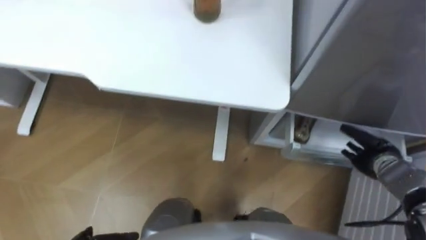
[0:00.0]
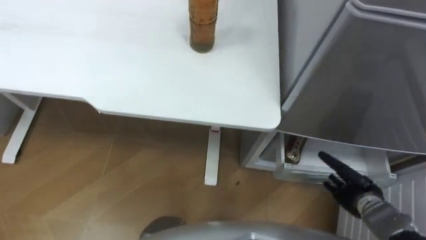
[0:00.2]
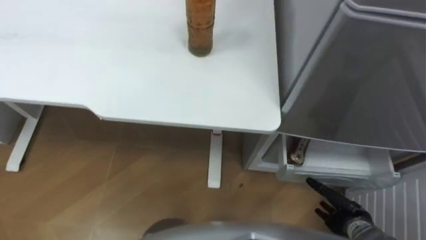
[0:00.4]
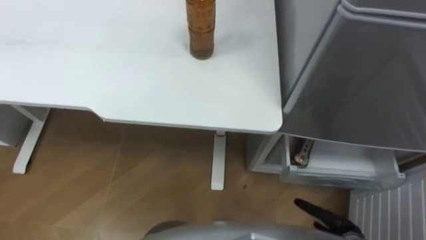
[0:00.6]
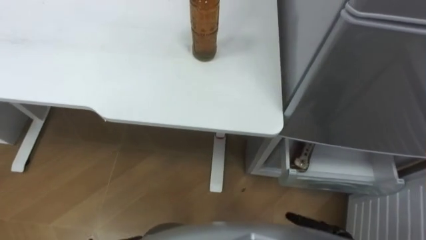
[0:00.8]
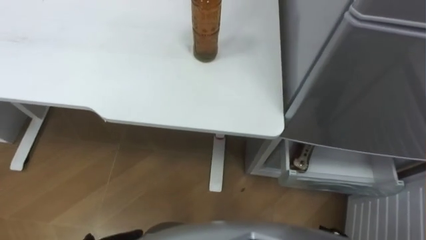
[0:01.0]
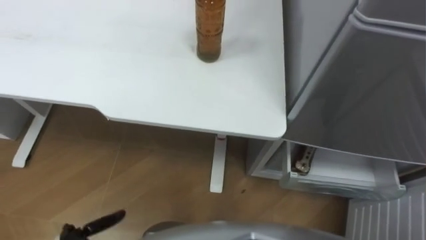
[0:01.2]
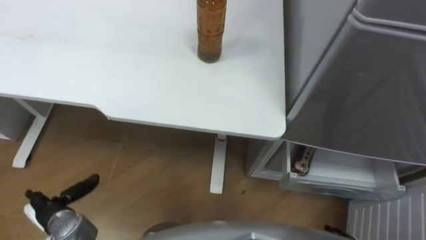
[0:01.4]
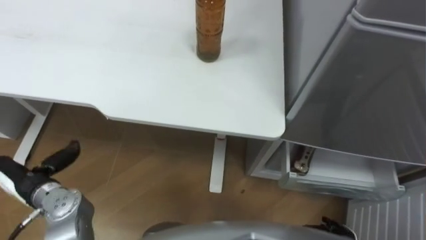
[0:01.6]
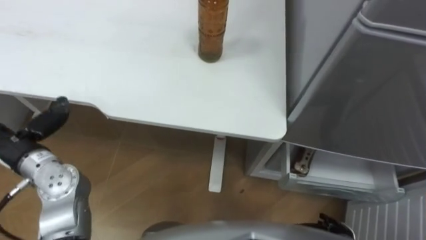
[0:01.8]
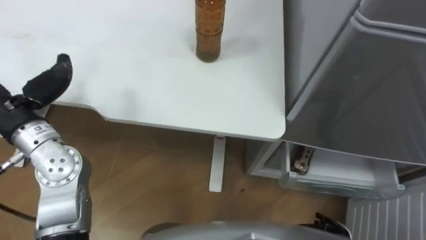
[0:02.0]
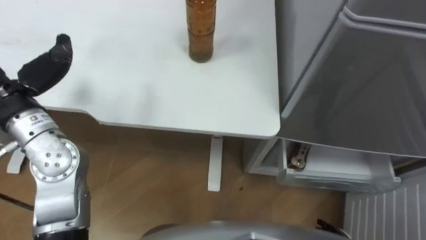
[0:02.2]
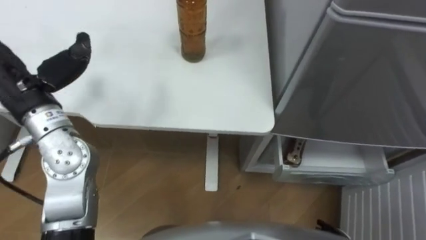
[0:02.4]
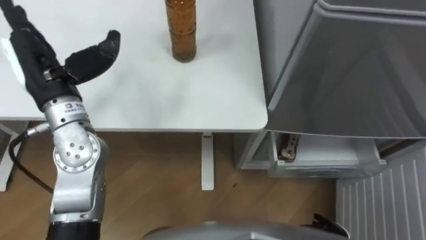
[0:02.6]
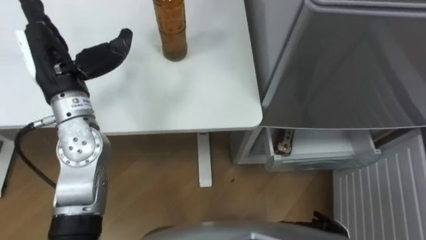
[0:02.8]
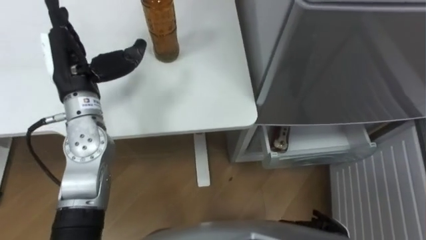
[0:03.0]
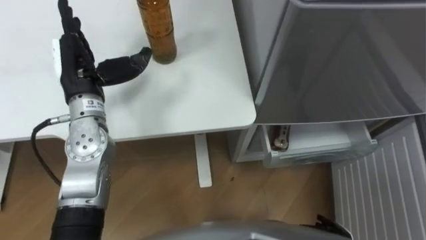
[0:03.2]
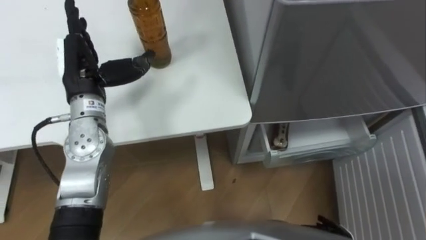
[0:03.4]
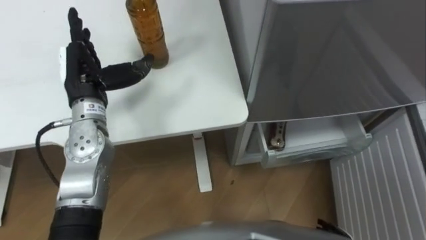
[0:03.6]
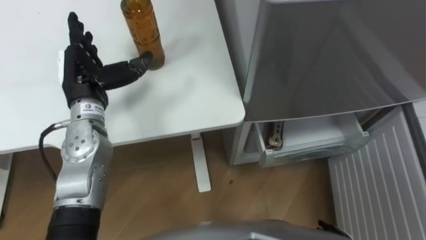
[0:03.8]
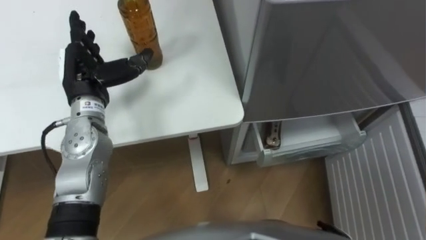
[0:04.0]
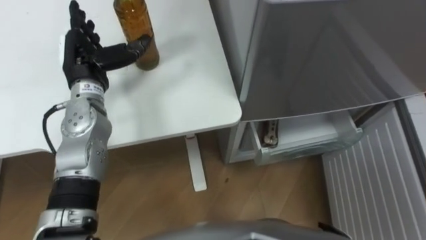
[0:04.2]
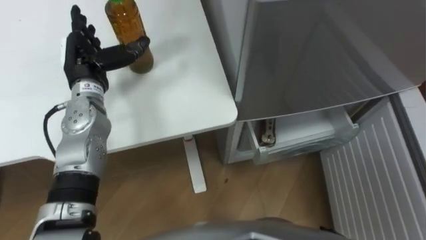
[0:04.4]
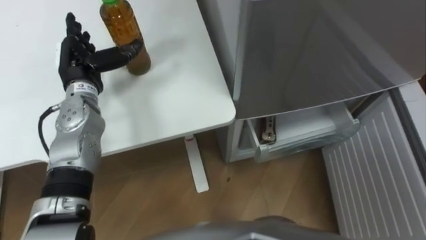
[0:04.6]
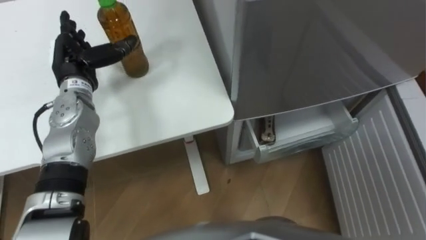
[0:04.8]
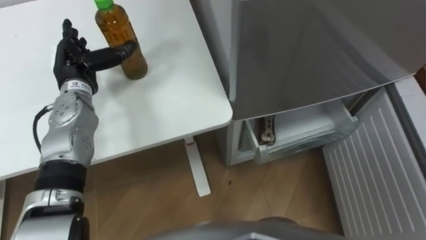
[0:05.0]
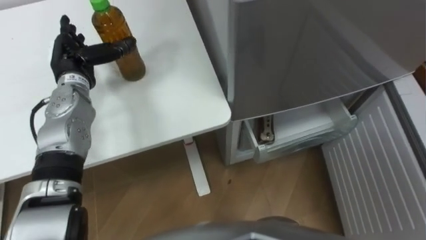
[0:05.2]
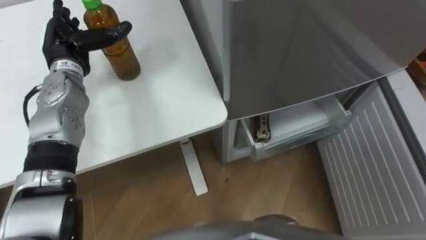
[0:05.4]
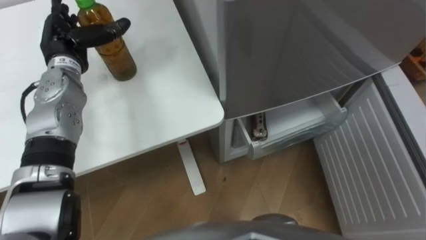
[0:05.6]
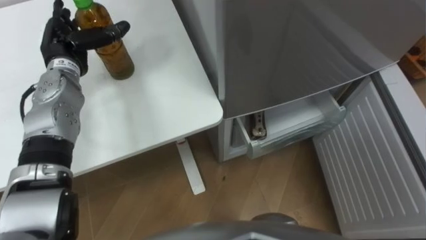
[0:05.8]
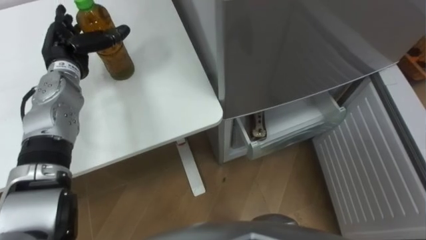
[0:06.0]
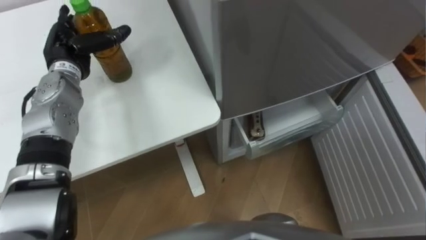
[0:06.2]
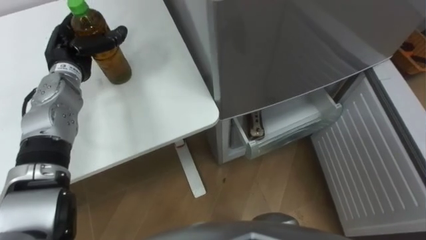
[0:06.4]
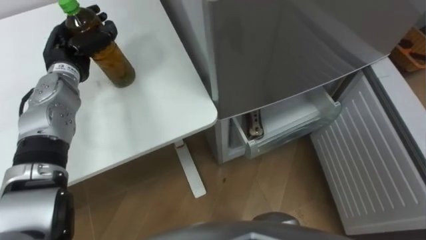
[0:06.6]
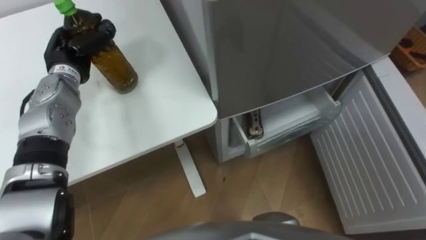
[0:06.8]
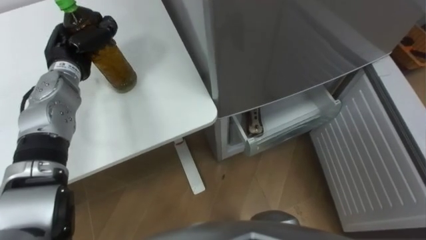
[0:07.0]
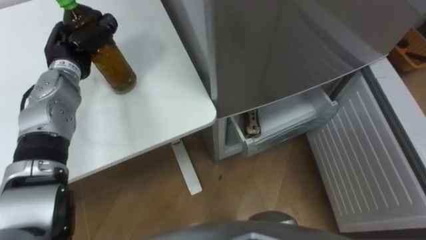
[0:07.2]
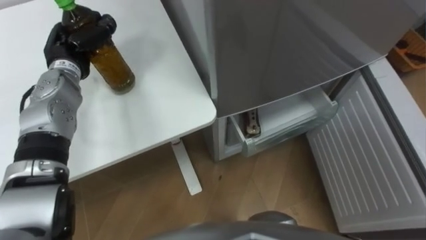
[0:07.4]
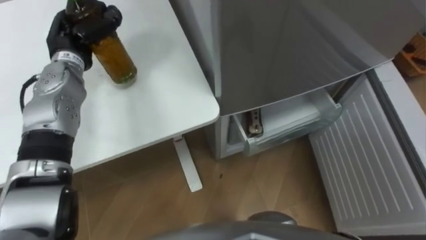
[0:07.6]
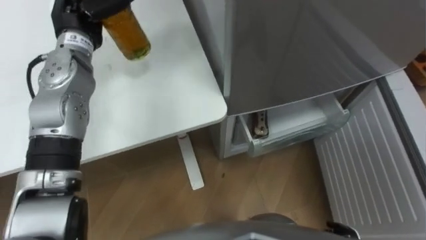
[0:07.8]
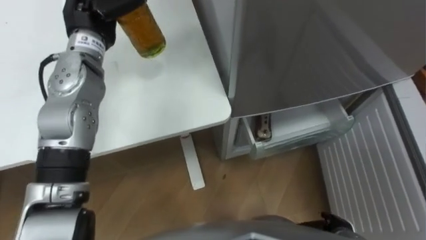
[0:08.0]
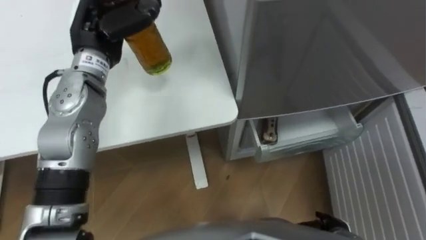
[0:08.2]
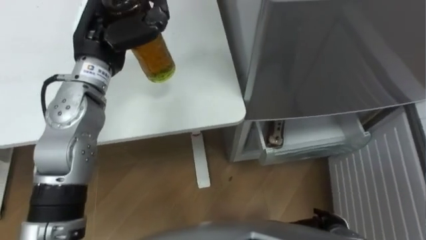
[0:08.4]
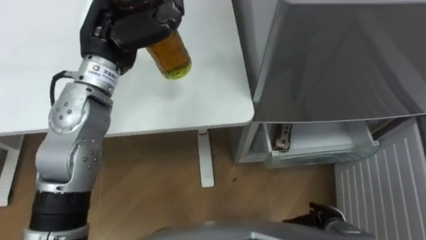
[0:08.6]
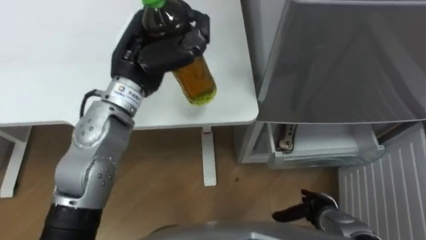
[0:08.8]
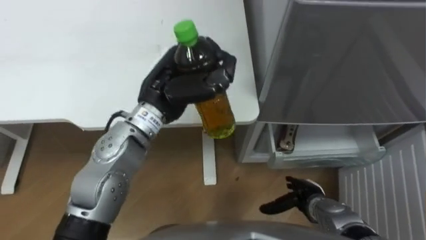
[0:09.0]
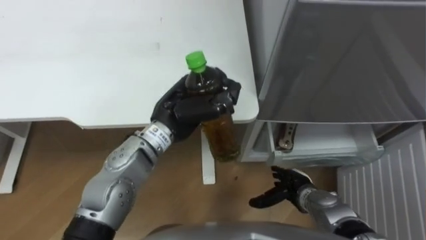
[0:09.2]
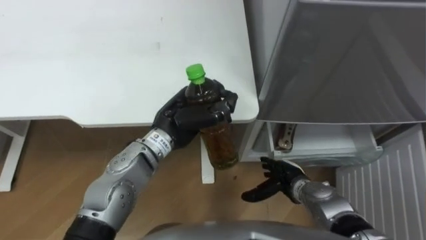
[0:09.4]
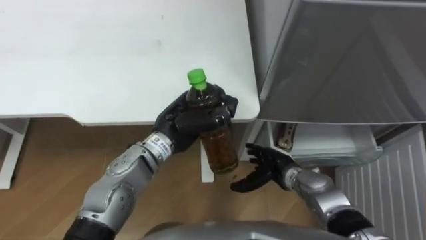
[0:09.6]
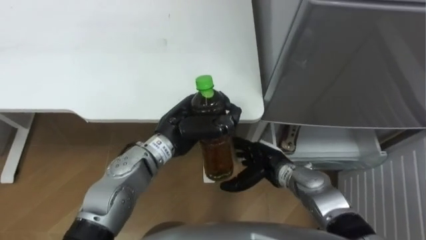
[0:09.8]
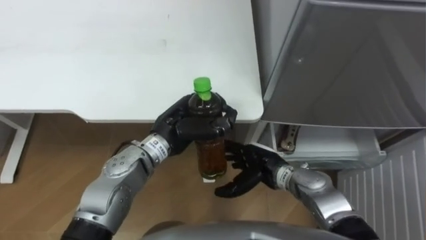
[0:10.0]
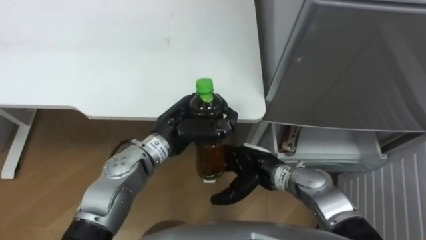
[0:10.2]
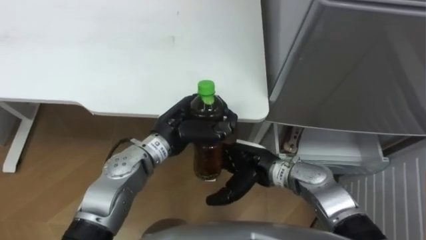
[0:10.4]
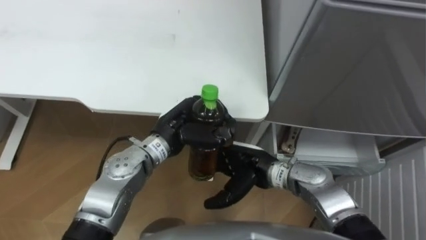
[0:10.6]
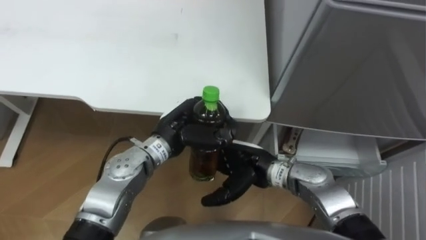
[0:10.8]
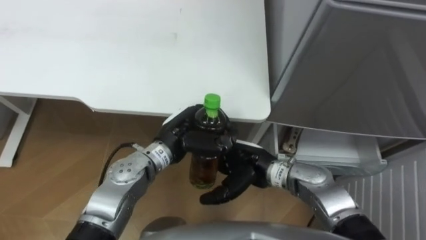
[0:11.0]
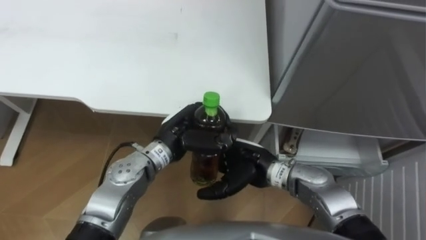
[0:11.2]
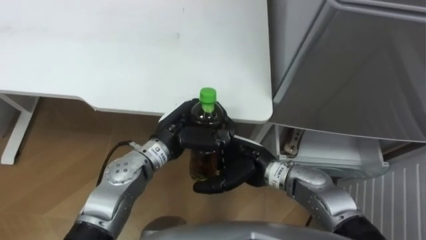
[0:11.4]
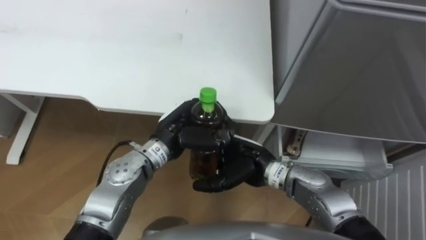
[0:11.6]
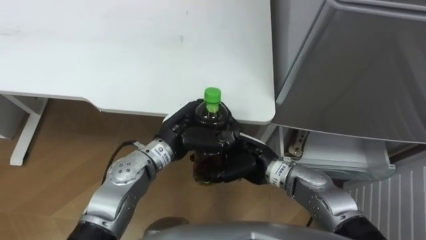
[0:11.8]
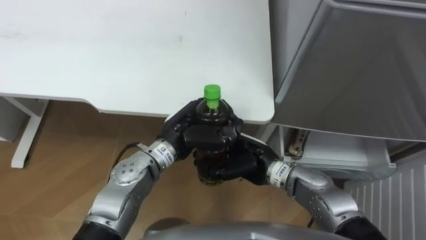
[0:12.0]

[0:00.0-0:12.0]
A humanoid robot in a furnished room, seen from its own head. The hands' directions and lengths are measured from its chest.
Task of the whole recording: Place the drink on the table on the bottom shelf of the refrigerator, then close the drawer and the refrigerator door.
0:01.6 to 0:03.0: The left hand travels upward, forward and to the right by roughly 25 cm.
0:03.0 to 0:04.4: The left hand changes place by about 5 cm.
0:04.4 to 0:06.0: The left hand ends up about 5 cm from where it was.
0:06.0 to 0:07.6: The left hand closes up.
0:07.6 to 0:09.0: The left hand travels to the right and backward by about 20 cm.
0:09.0 to 0:10.4: The left hand shifts roughly 10 cm downward, while the right hand shifts approximately 20 cm to the left, upward and forward.
0:10.4 to 0:12.0: The right hand closes.

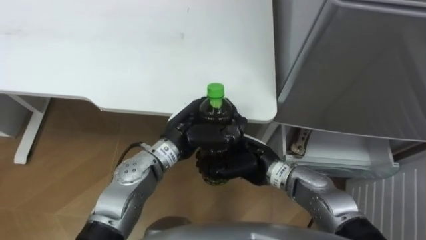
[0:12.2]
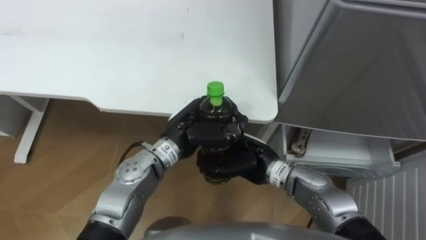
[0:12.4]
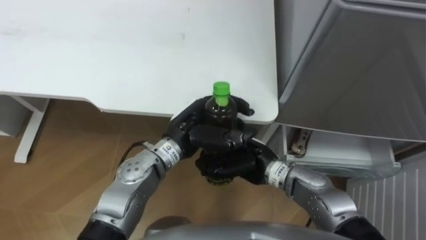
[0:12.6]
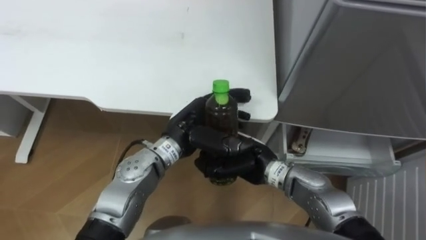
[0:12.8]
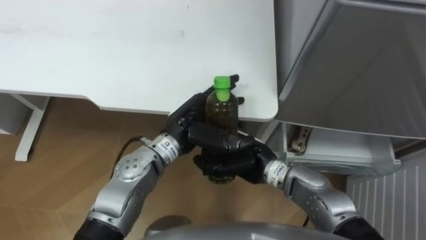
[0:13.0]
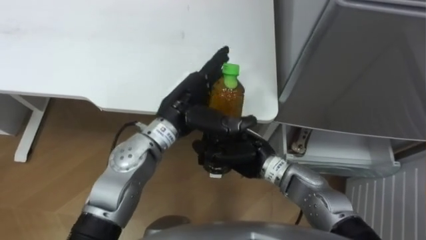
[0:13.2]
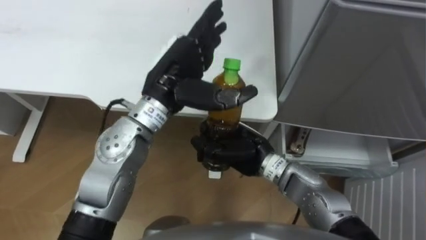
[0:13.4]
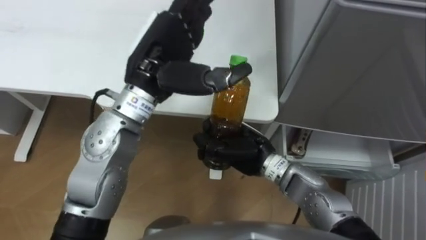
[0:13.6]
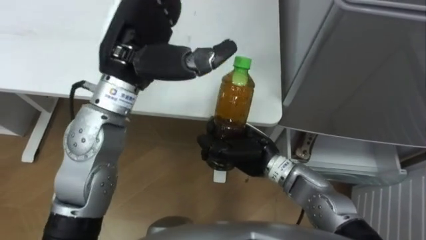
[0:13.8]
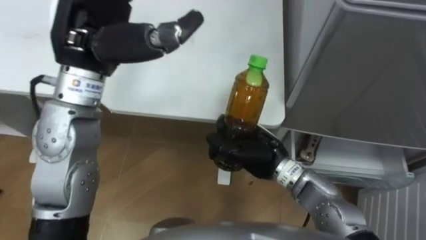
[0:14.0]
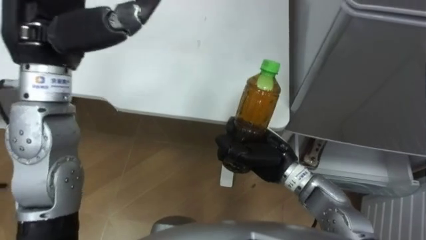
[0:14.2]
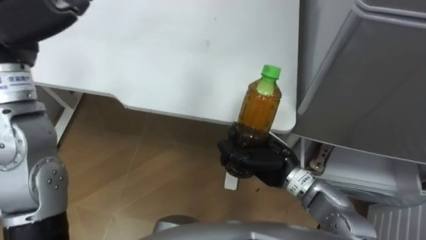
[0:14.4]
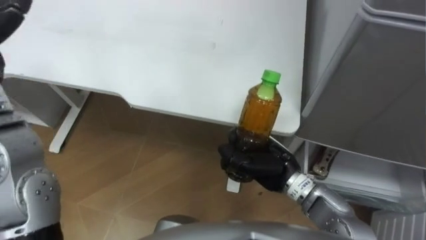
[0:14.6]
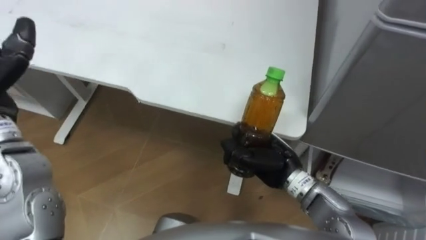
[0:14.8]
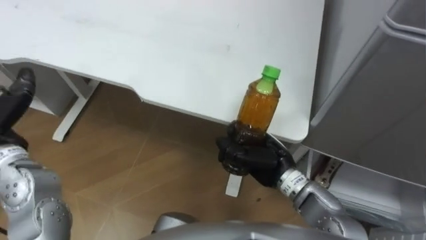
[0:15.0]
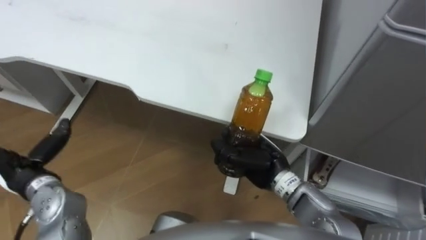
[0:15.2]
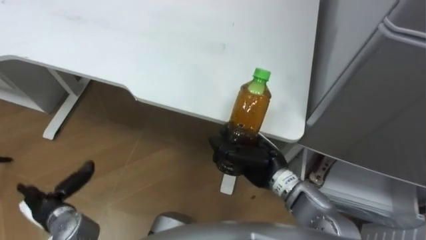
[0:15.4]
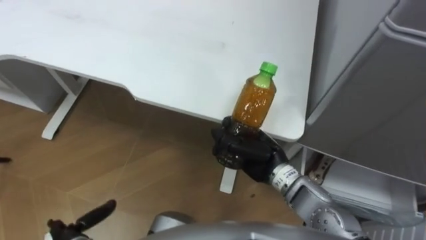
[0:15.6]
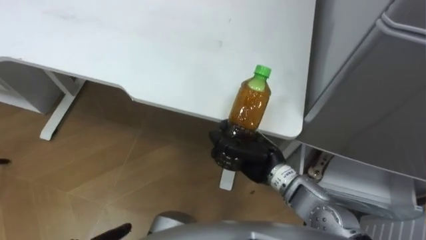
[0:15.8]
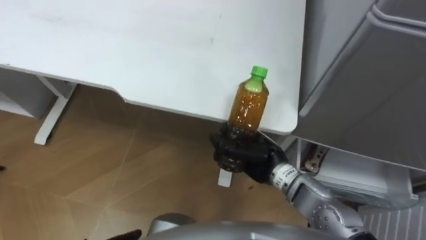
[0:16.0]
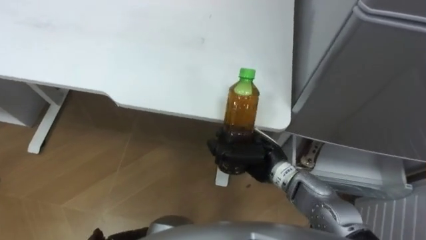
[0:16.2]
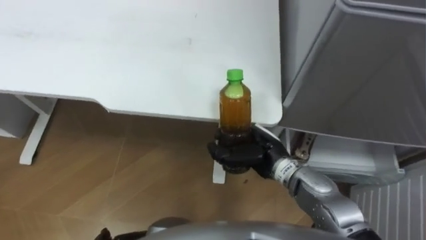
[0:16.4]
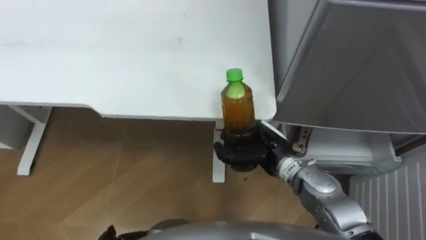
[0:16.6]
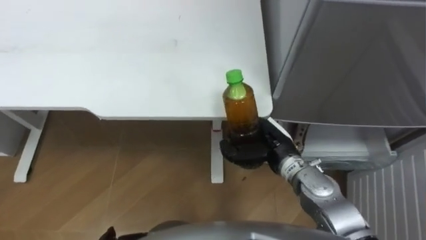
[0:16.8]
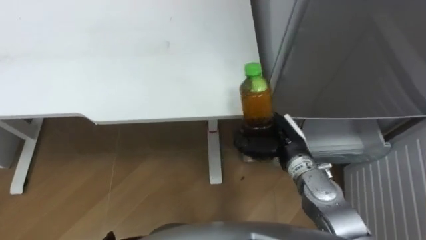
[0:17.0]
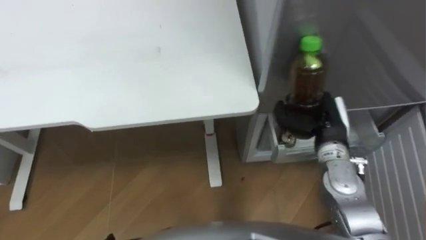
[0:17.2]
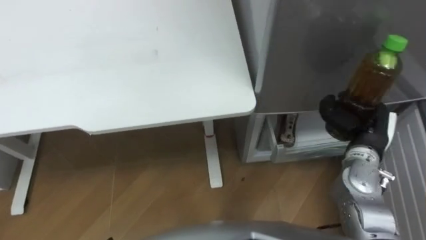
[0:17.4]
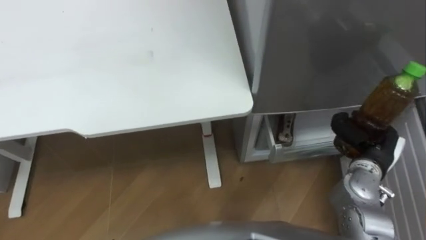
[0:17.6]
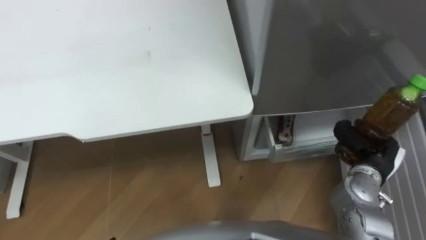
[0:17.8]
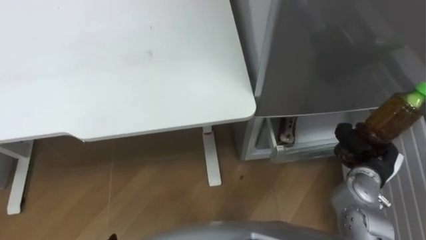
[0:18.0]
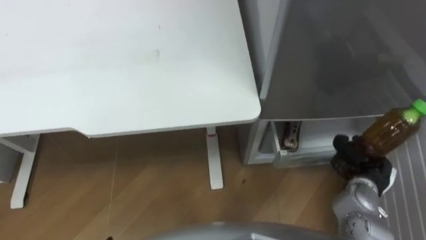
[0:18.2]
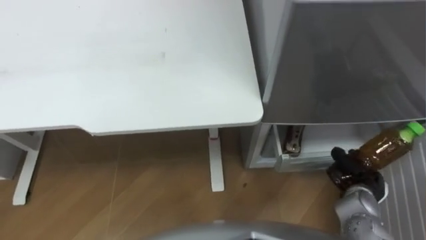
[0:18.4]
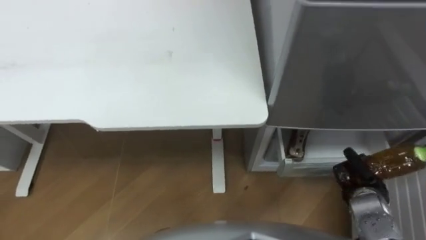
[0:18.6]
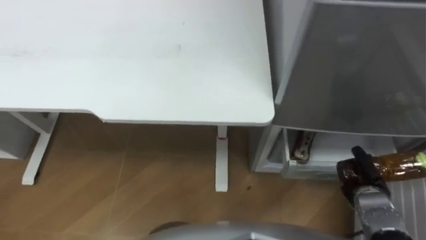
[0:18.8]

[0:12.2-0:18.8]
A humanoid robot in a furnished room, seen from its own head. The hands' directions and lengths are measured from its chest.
Task of the whole recording: Place the drink on the table on the bottom shelf of the refrigerator, then close the drawer and the refrigerator door.
0:12.2 to 0:13.8: The left hand moves upward, about 20 cm, and opens its fingers.
0:15.4 to 0:17.2: The right hand heads to the right, covering roughly 15 cm.
0:17.2 to 0:18.8: The right hand is displaced downward, to the right and backward by some 20 cm.
